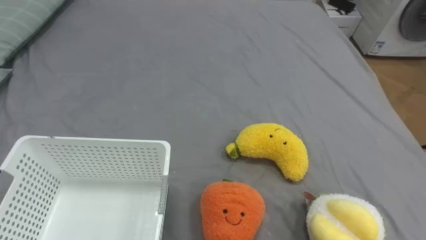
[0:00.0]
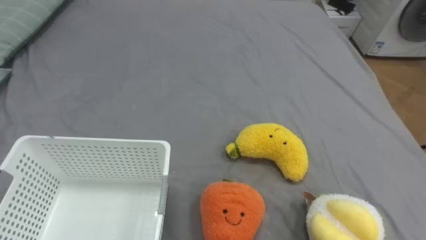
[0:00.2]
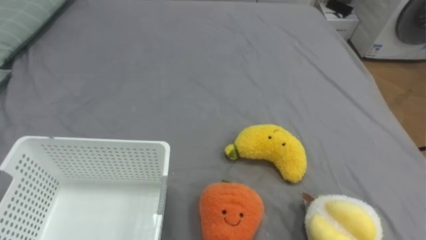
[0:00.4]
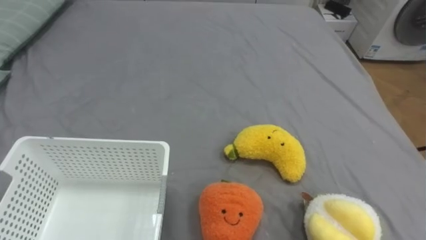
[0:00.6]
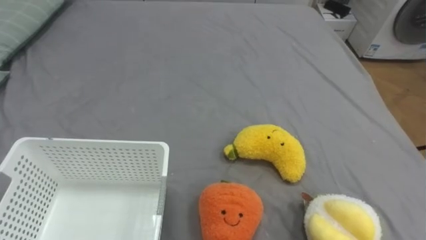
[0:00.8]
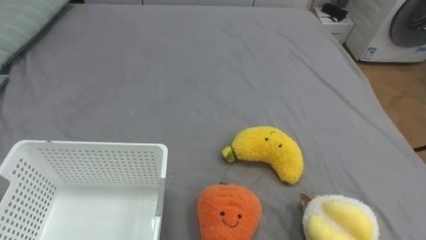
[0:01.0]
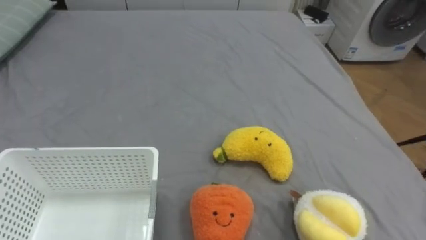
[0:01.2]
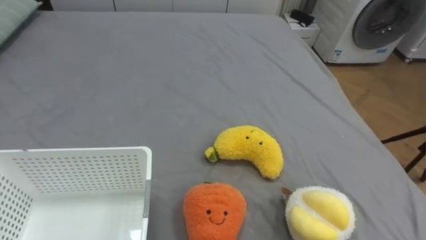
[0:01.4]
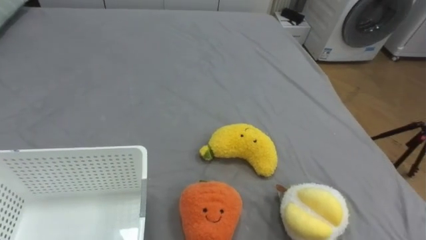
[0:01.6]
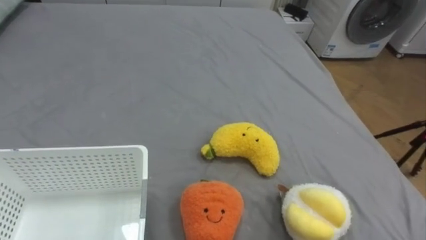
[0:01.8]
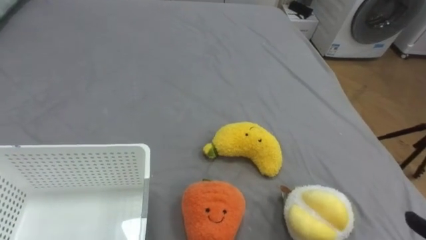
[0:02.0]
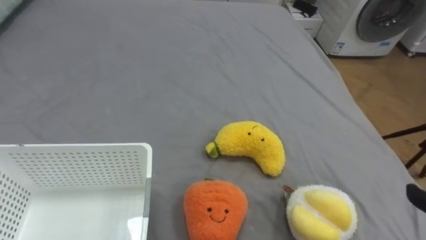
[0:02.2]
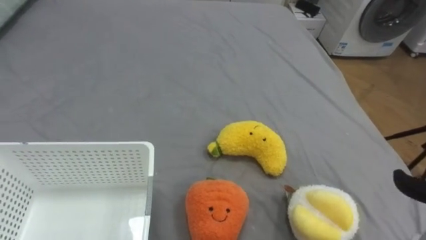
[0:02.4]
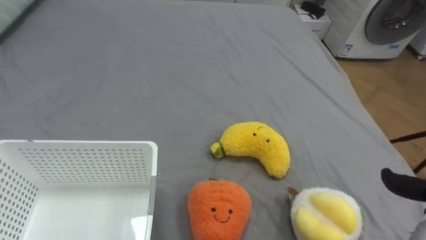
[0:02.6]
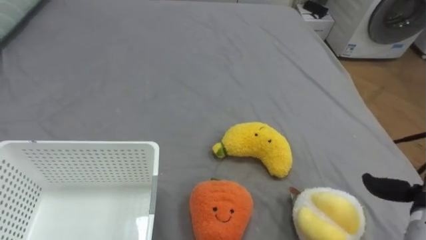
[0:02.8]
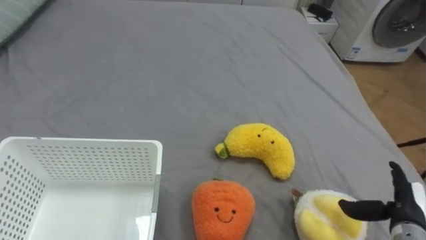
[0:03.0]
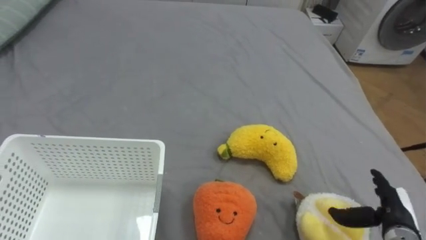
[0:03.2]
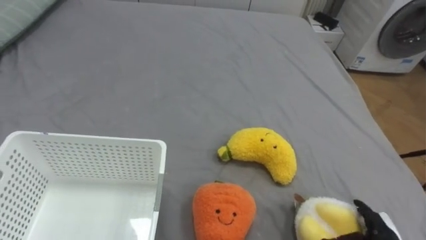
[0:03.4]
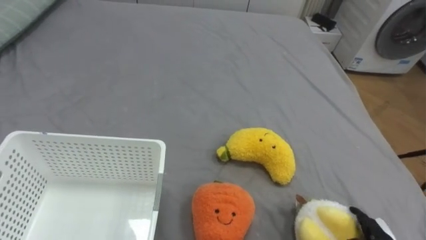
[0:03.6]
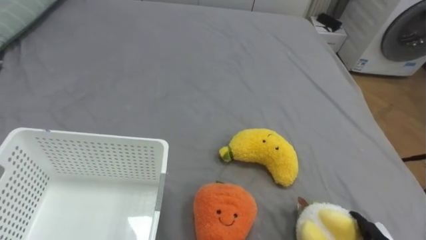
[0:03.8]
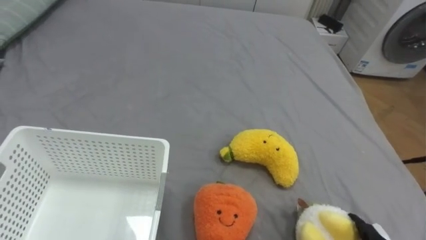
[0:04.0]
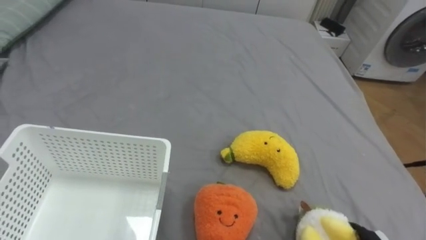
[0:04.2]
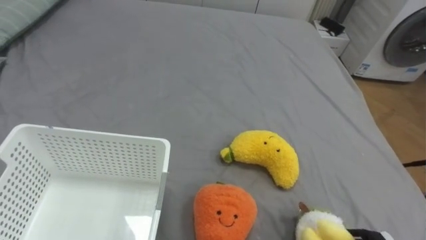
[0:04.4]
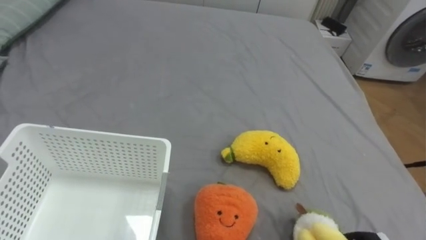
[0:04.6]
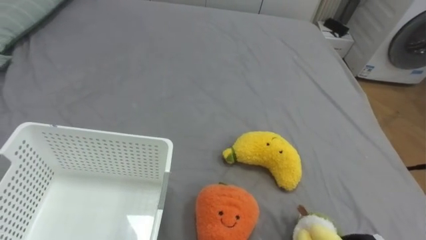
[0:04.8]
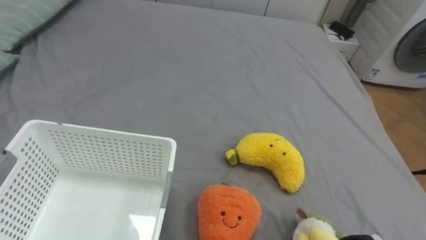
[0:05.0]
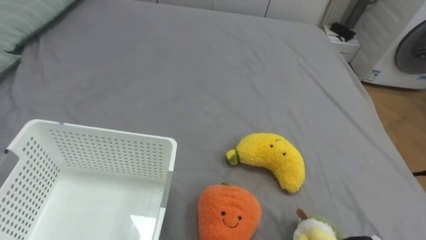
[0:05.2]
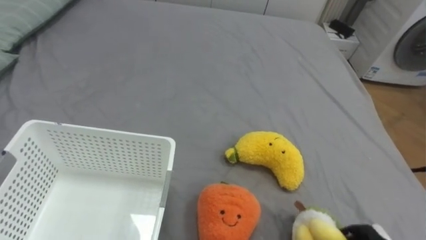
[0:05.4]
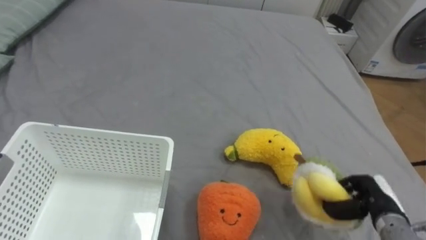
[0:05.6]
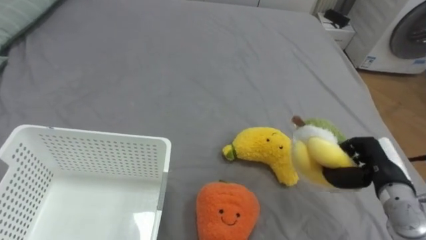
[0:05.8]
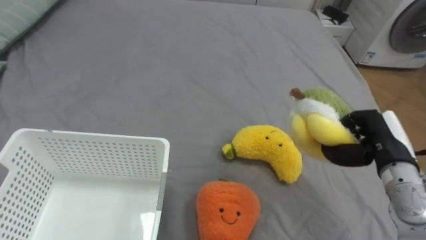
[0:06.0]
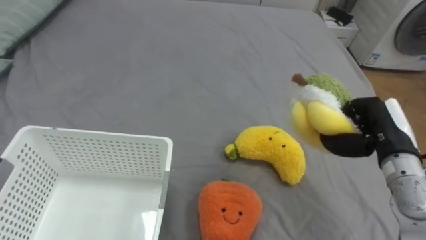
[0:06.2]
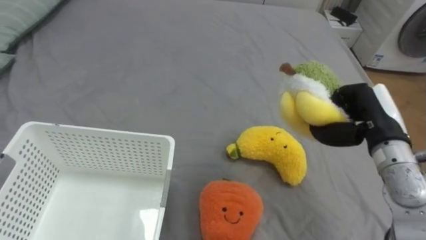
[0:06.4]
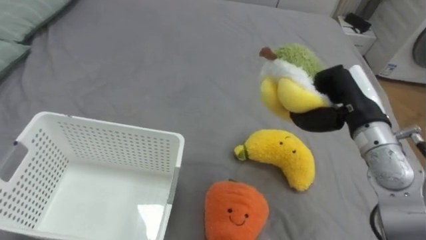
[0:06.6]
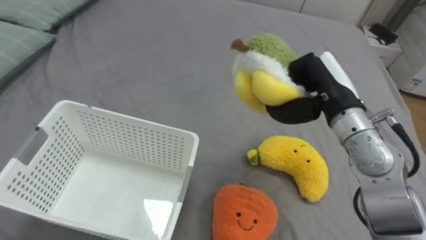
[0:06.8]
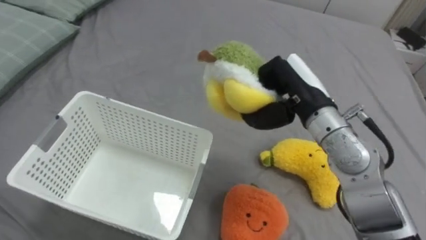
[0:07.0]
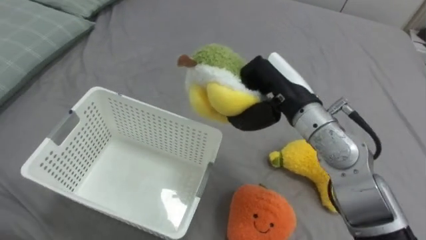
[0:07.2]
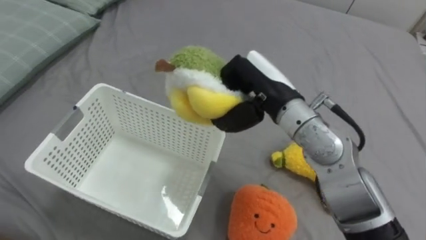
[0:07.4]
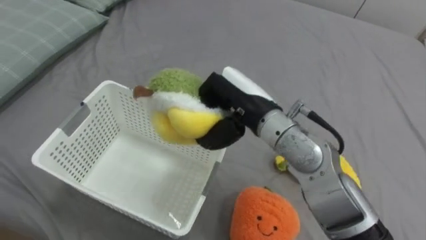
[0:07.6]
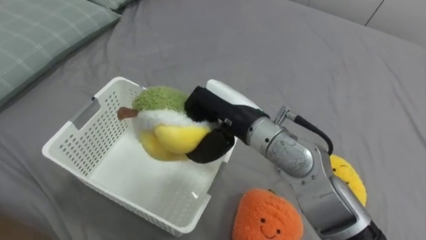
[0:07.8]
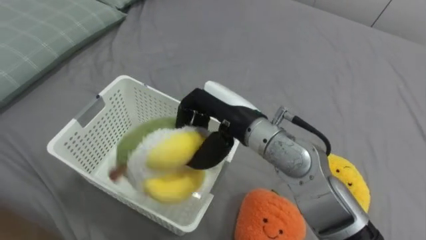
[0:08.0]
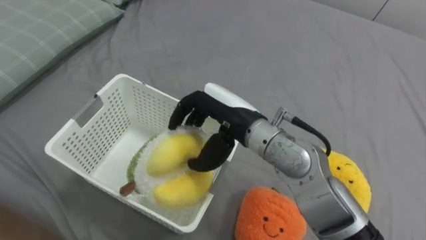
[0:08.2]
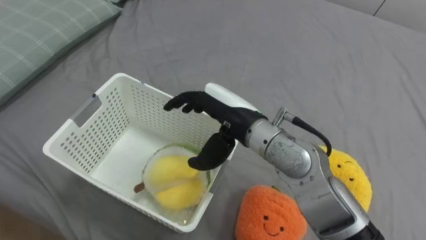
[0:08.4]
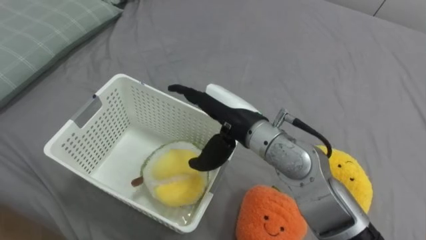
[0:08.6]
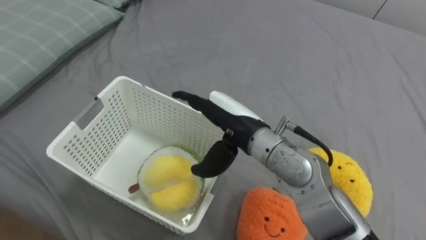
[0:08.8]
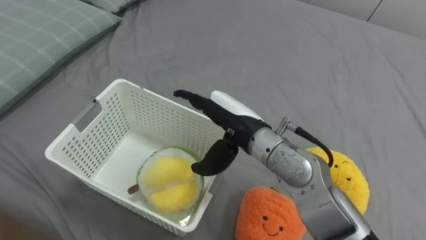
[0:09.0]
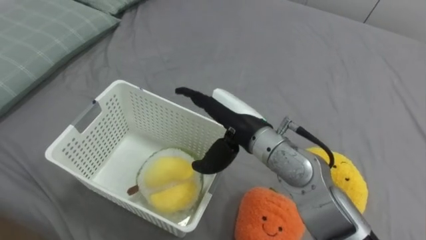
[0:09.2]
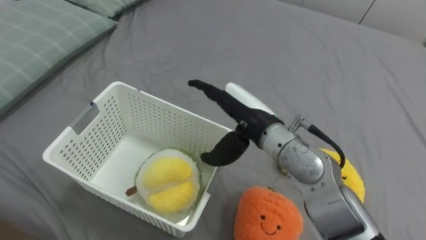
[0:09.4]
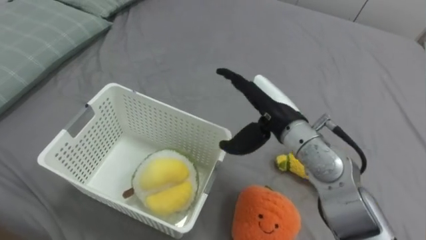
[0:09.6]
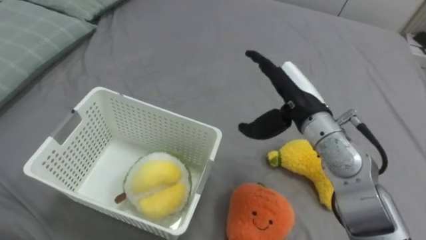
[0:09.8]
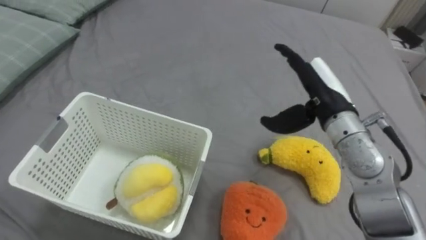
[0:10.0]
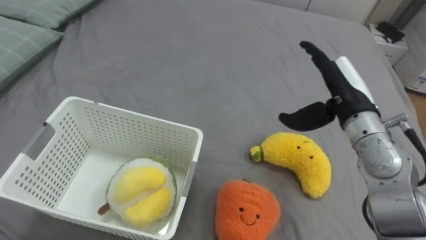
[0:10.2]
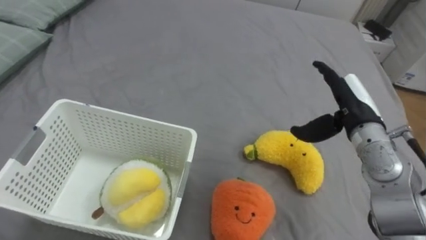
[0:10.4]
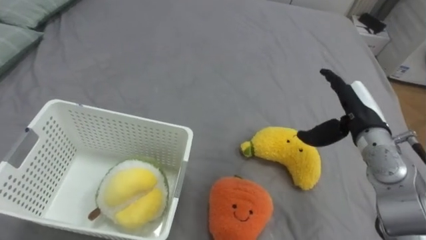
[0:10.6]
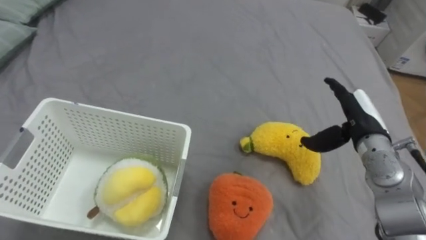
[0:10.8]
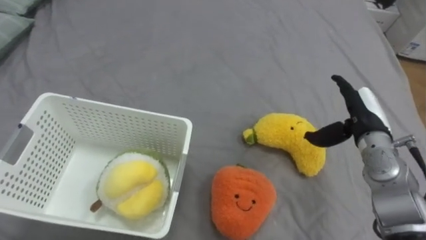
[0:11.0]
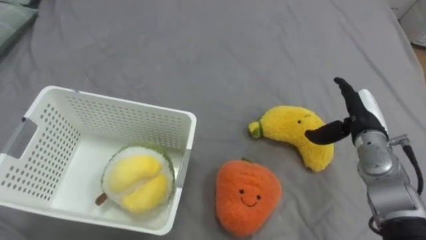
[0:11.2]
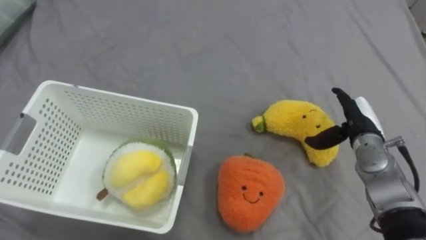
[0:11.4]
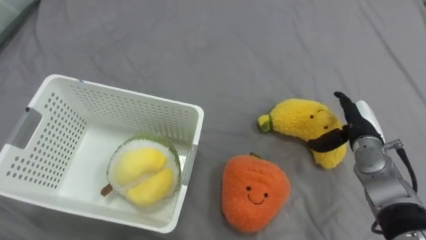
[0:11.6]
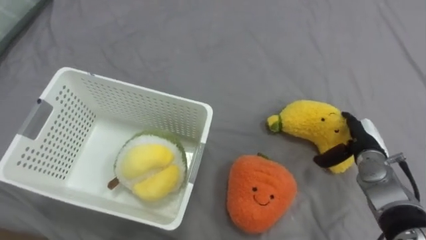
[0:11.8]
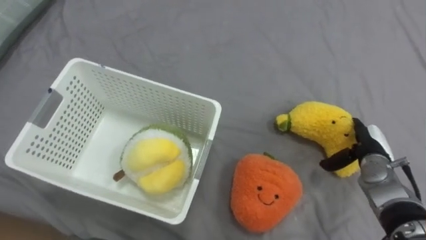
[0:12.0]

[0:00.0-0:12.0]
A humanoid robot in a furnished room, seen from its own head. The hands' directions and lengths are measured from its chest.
Task of the whole recording: Put the toys on the bed into the basket on the left.
0:06.0 to 0:07.6: The right hand shifts roughly 25 cm to the left.
0:07.6 to 0:09.0: The right hand opens its fingers.
0:09.0 to 0:10.4: The right hand is displaced to the right by roughly 20 cm.
0:10.4 to 0:12.0: The right hand shifts about 15 cm downward and to the right.

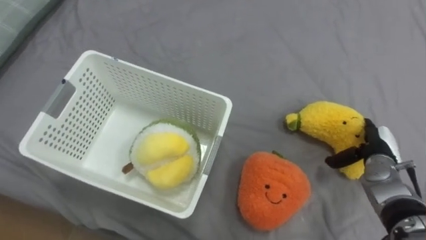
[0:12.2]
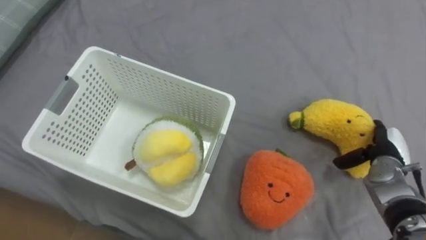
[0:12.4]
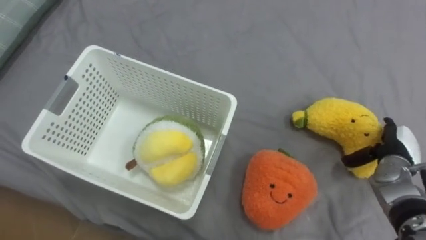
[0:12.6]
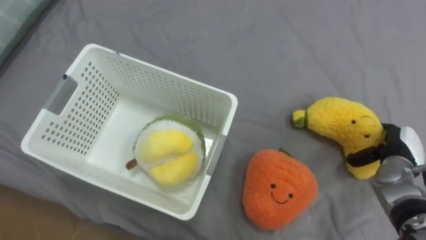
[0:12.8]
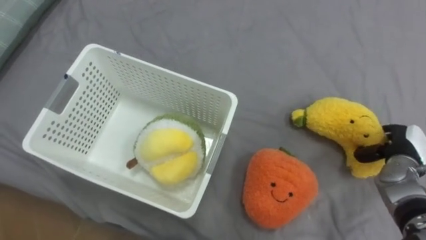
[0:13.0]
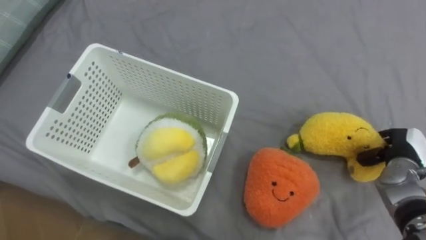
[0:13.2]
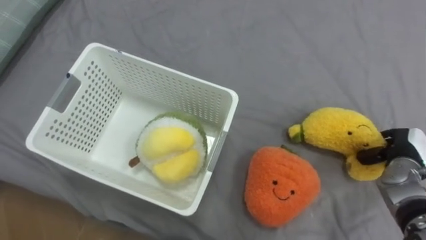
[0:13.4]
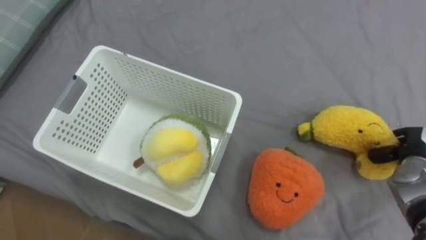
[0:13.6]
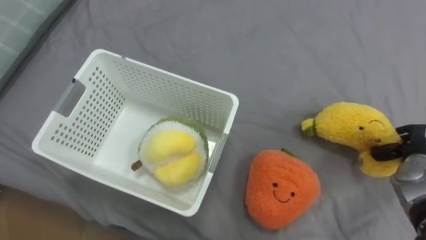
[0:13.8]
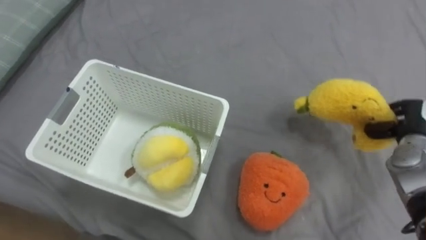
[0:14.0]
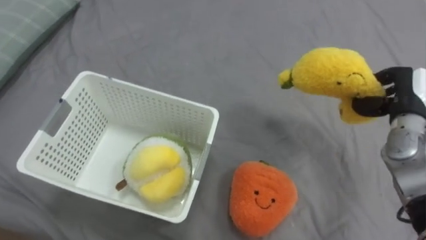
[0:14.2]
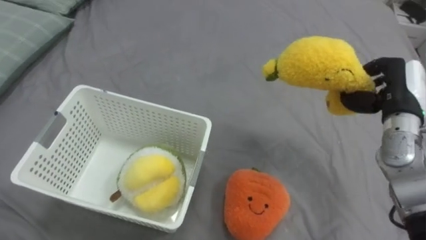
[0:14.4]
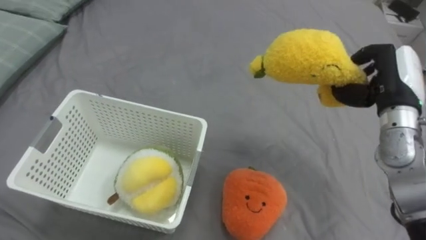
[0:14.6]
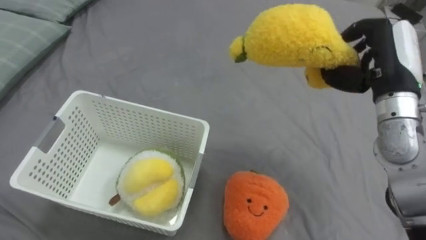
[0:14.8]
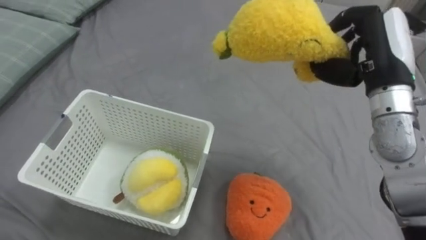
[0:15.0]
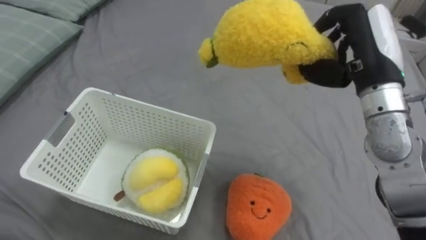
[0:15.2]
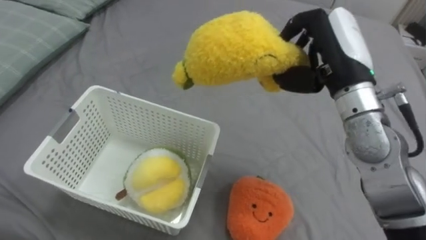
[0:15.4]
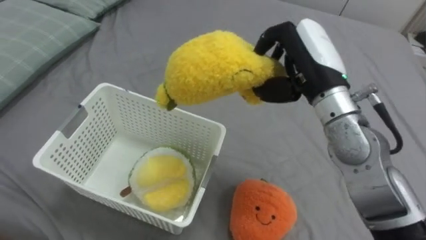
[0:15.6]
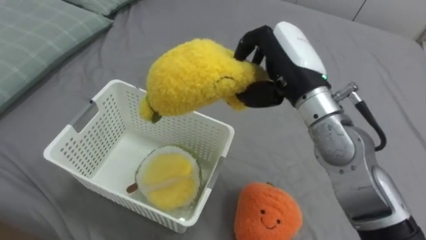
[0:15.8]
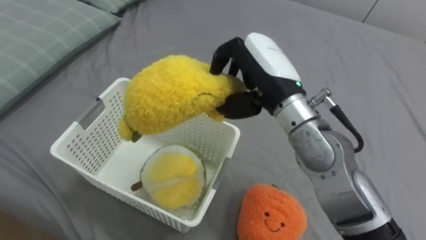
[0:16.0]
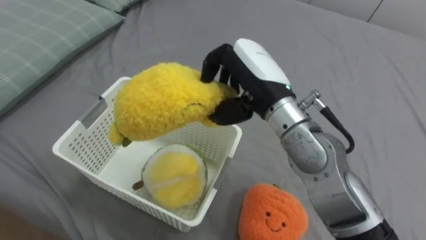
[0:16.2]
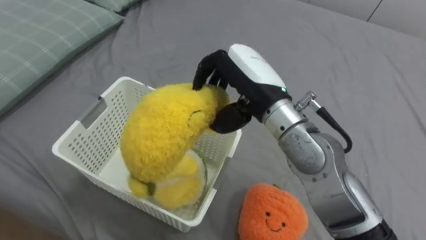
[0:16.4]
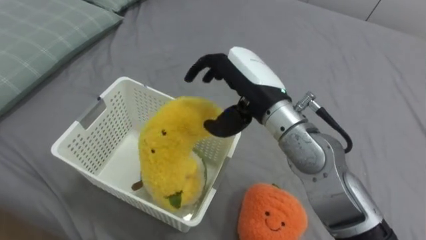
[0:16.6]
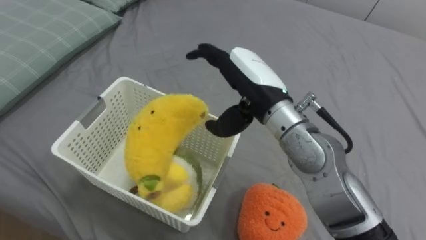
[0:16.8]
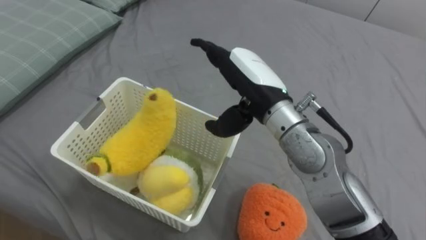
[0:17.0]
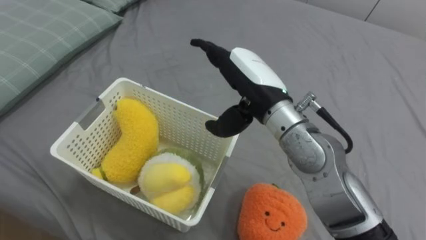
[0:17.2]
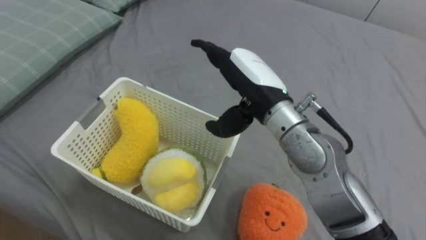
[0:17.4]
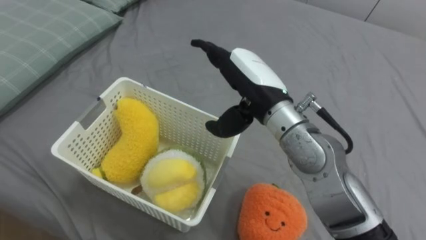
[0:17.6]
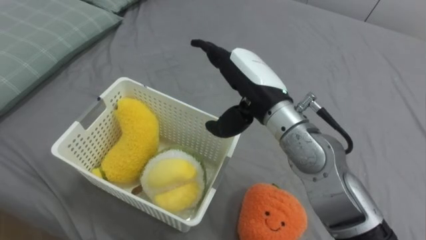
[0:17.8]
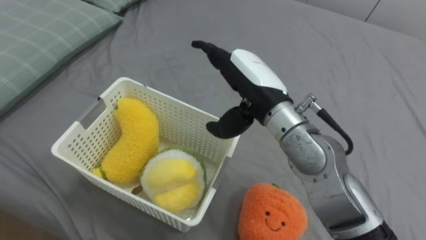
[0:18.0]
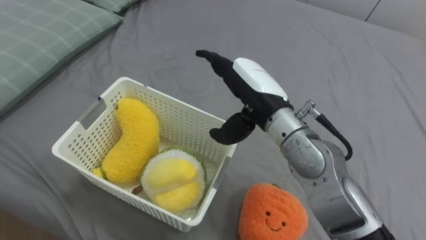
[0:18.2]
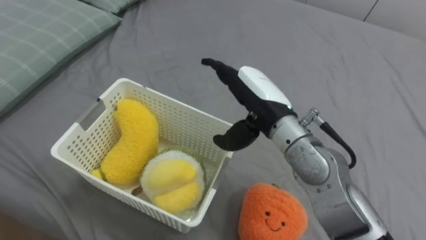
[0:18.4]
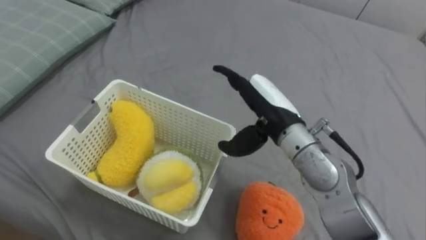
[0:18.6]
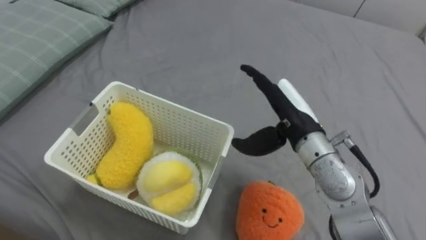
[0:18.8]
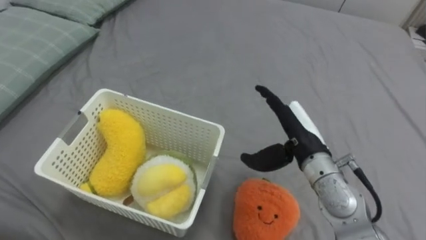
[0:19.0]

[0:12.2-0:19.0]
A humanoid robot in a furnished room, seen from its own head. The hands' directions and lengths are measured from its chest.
Task of the whole recording: Put the toys on the bed into the basket on the left.
0:12.2 to 0:13.6: The right hand shifts about 5 cm to the right, and closes.
0:13.6 to 0:15.0: The right hand goes about 25 cm upward and to the left.
0:15.0 to 0:16.2: The right hand travels to the left by approximately 20 cm.
0:16.2 to 0:17.6: The right hand opens up.
0:17.6 to 0:19.0: The right hand goes about 15 cm downward and to the right.
